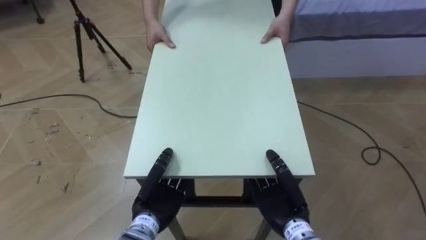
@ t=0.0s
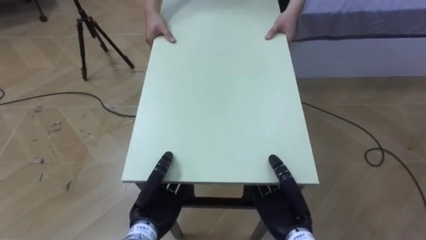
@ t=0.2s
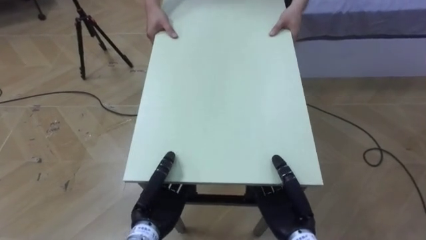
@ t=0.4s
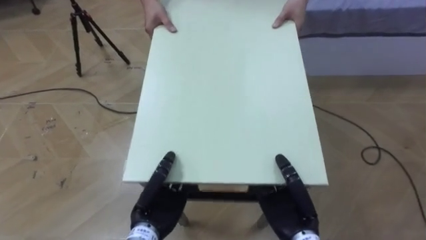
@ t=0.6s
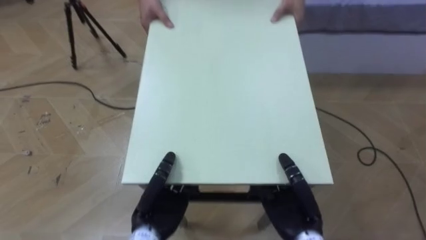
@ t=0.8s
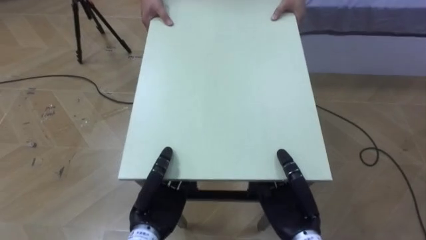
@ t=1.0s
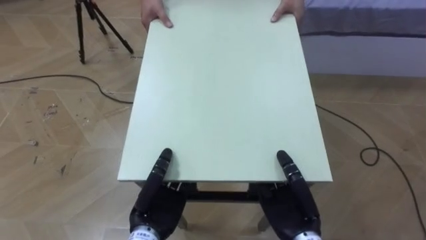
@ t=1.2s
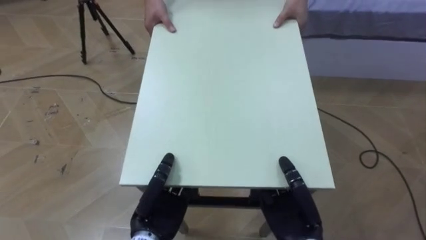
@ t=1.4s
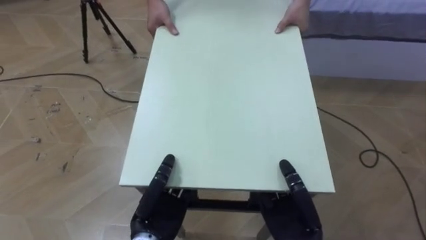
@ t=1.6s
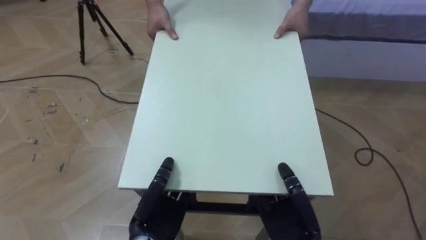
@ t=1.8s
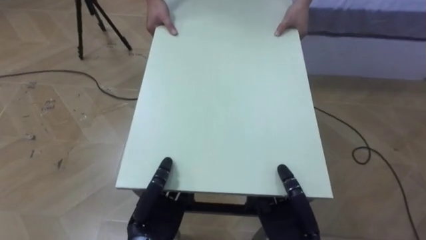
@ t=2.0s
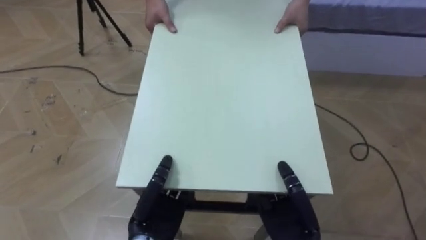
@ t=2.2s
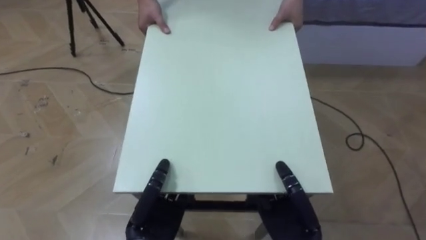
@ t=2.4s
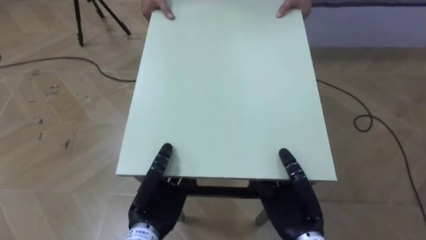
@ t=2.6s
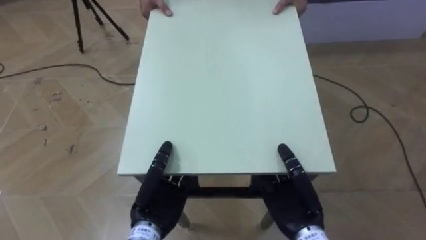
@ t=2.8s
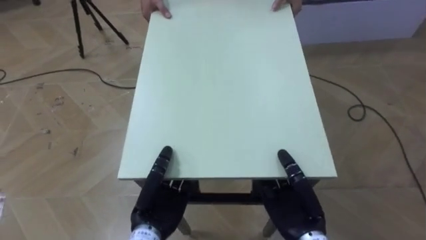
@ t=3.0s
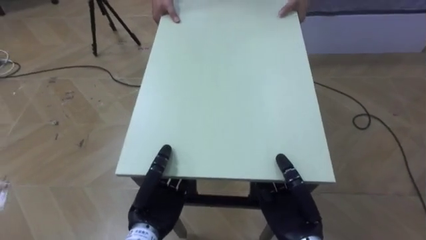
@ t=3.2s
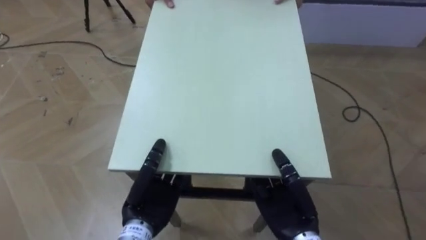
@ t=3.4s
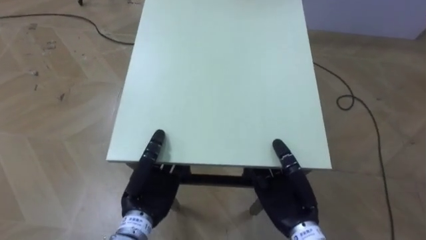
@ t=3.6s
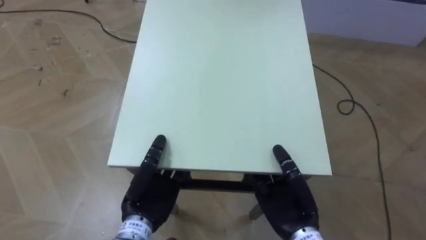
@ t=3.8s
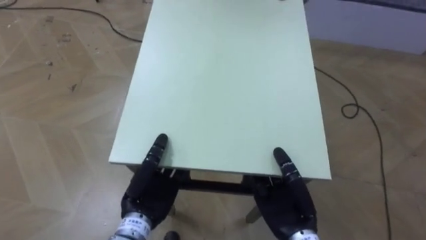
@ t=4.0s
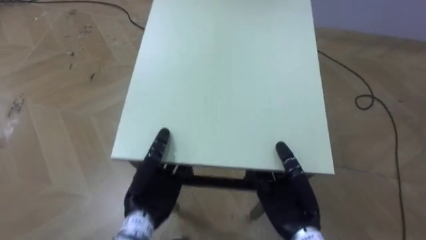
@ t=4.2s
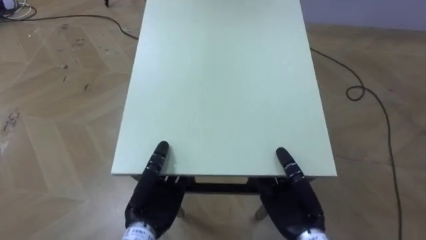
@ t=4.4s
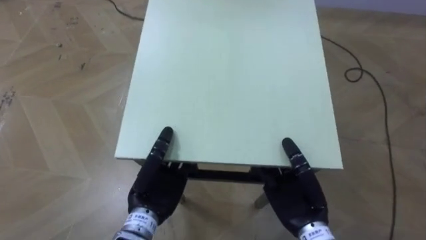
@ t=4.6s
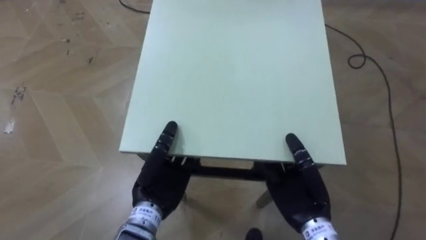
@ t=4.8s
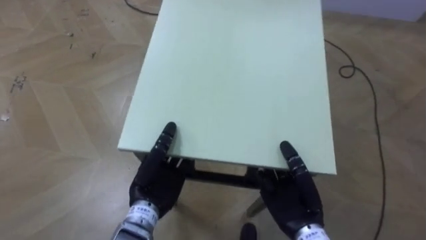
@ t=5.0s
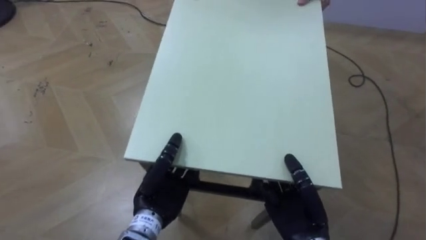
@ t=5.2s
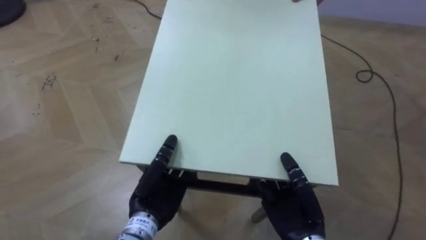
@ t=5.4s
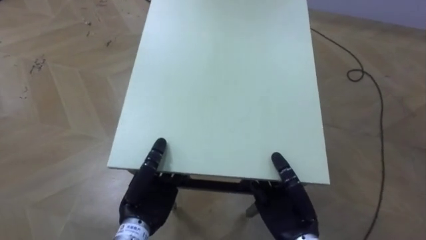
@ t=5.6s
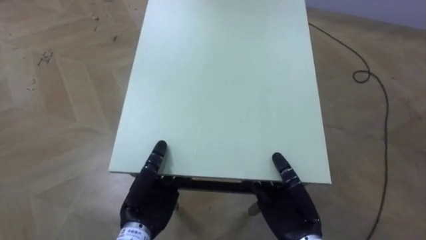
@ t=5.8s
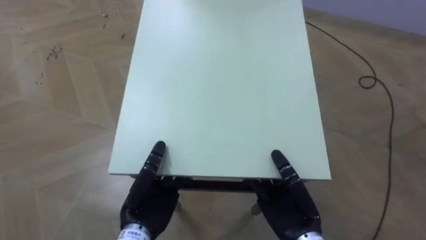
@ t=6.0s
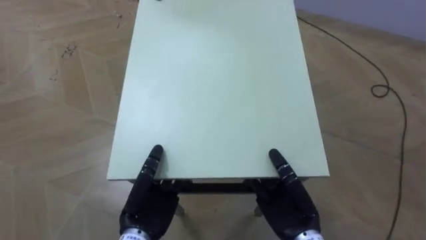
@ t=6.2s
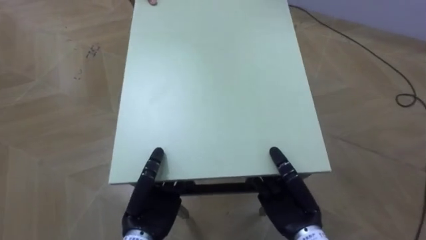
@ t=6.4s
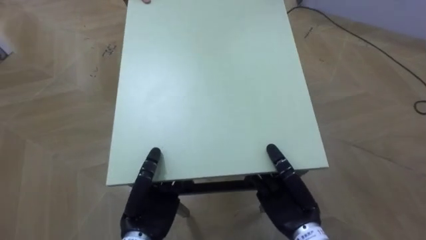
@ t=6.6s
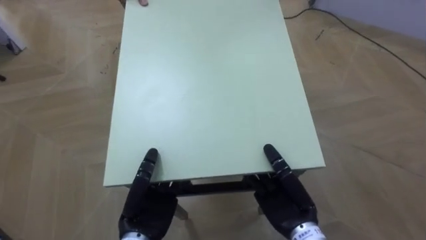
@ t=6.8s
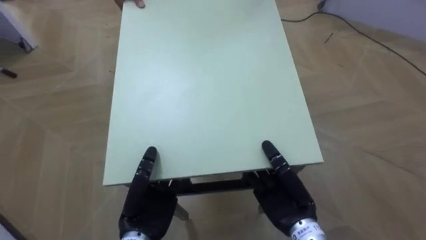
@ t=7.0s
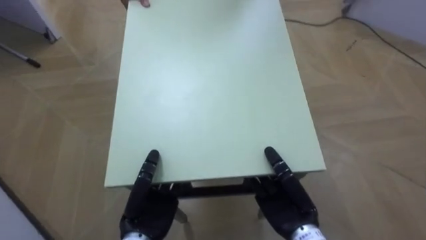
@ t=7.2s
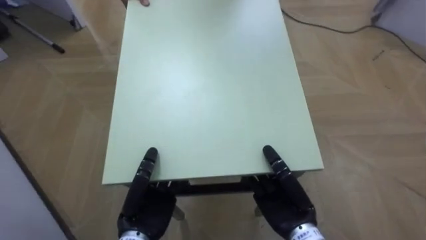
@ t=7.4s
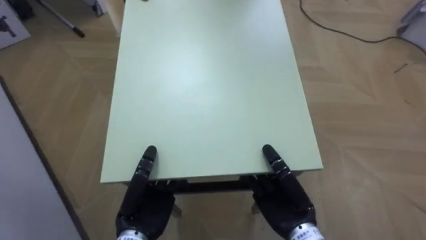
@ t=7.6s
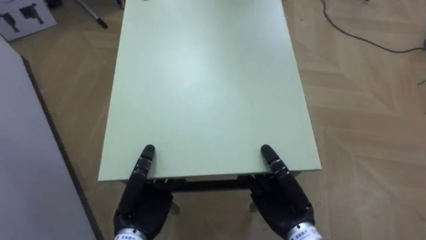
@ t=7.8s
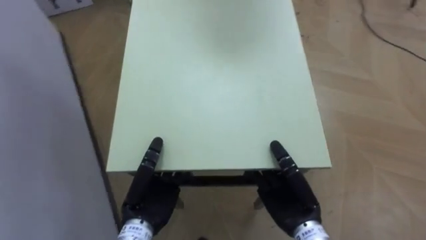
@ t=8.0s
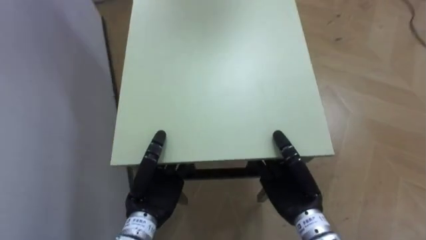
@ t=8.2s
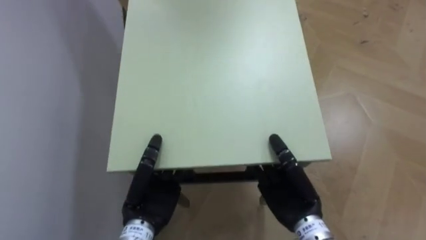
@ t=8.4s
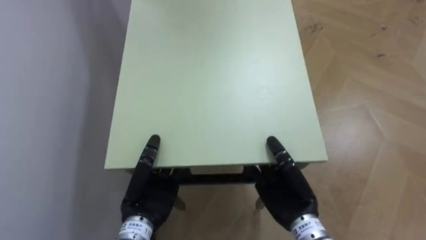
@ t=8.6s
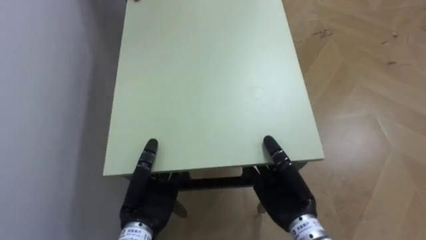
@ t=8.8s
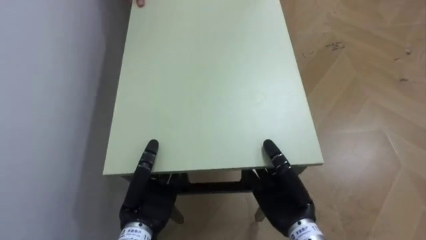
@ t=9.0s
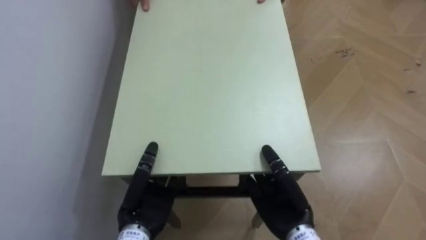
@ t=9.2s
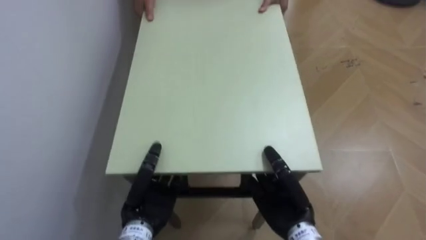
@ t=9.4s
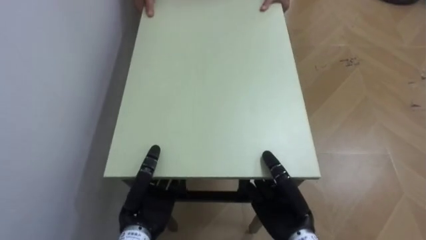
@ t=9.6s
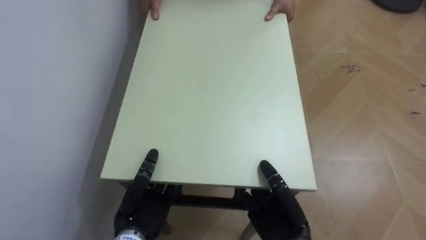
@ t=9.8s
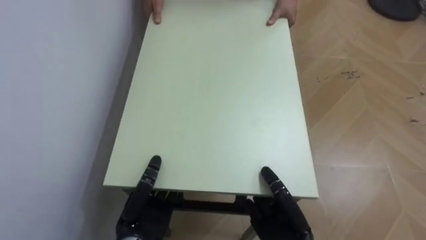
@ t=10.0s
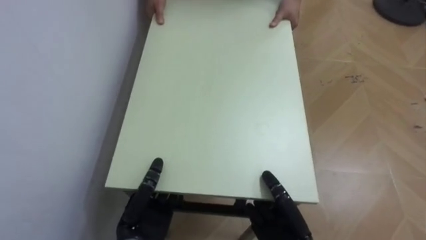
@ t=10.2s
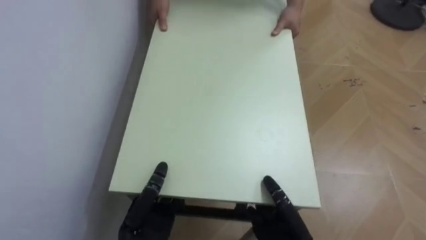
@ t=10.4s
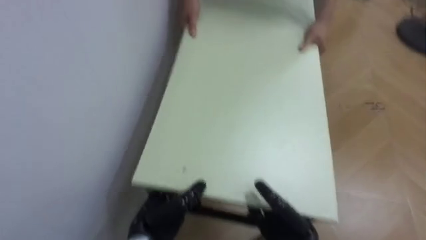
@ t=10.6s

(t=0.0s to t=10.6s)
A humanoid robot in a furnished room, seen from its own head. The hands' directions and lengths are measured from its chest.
Task of the whole recording: Move the table to the back left with someone.
t=6.0s - t=7.6s: The robot faces some 30 degrees further to its left.
t=7.6s - t=9.0s: The robot turns to its left by roughly 35 degrees.
t=9.0s - t=10.6s: The robot rotates approximately 15 degrees to its left. The right hand moves some 5 cm.
